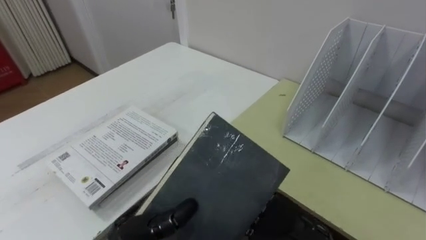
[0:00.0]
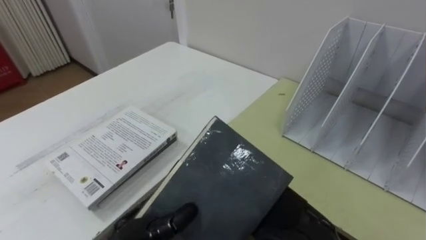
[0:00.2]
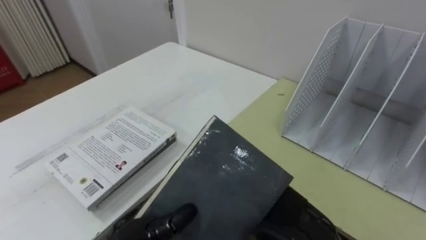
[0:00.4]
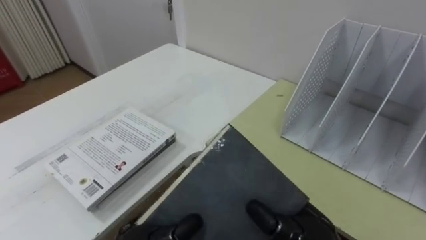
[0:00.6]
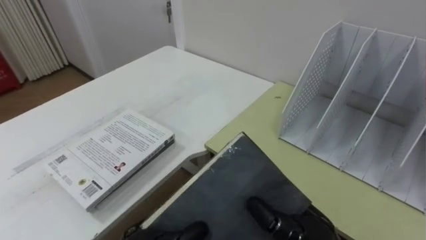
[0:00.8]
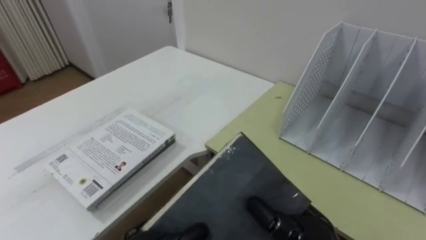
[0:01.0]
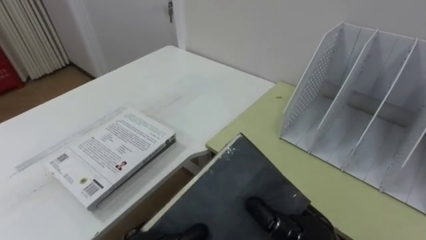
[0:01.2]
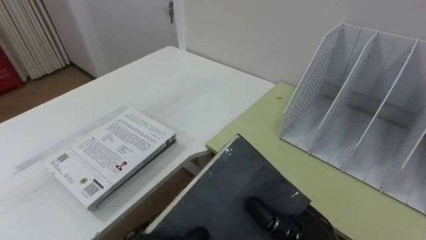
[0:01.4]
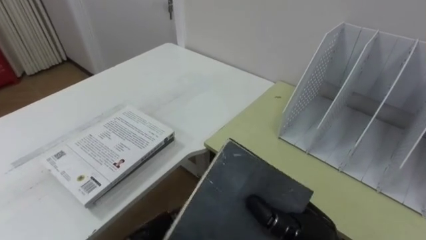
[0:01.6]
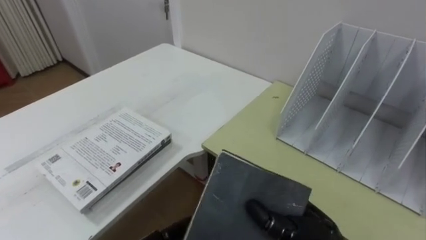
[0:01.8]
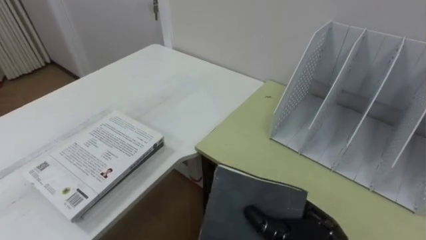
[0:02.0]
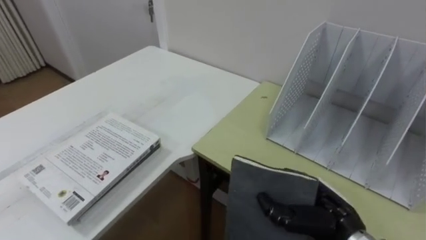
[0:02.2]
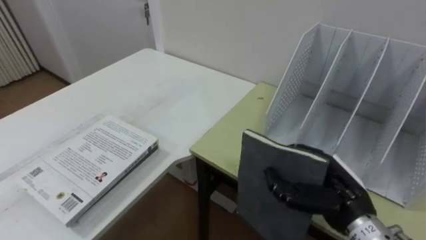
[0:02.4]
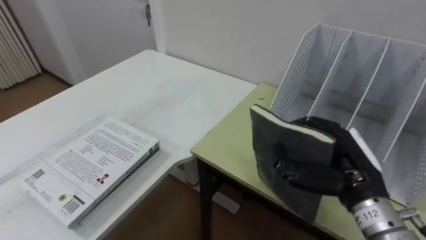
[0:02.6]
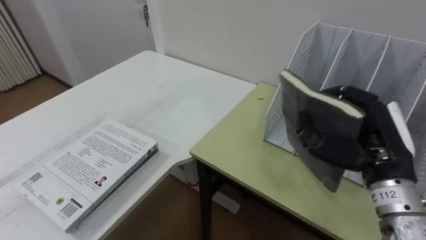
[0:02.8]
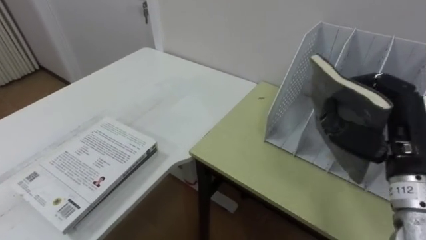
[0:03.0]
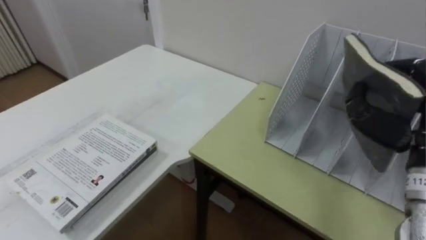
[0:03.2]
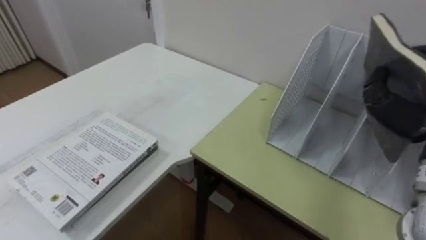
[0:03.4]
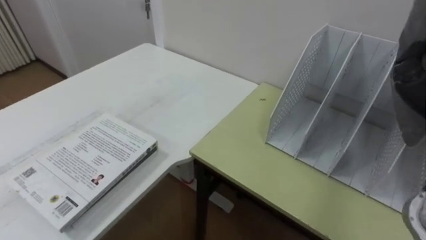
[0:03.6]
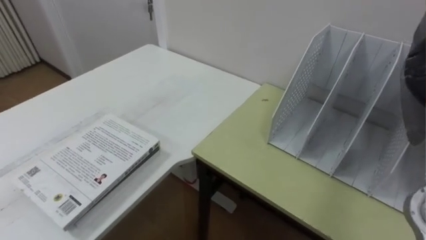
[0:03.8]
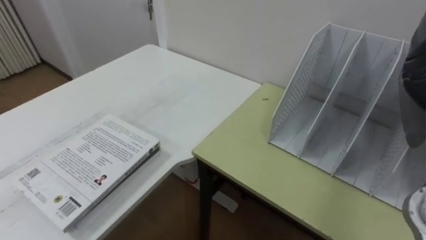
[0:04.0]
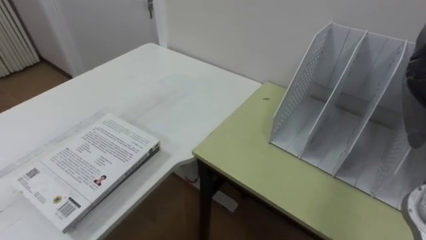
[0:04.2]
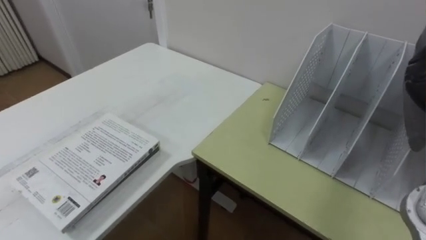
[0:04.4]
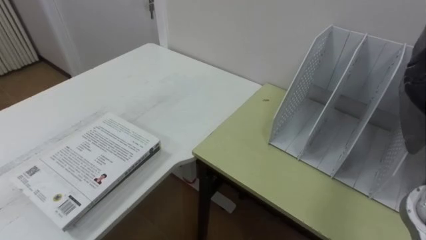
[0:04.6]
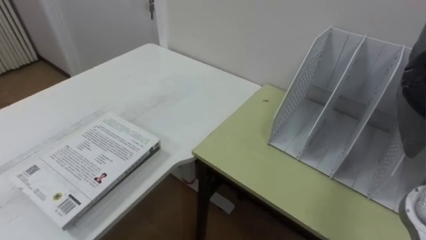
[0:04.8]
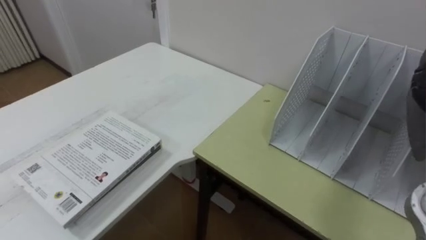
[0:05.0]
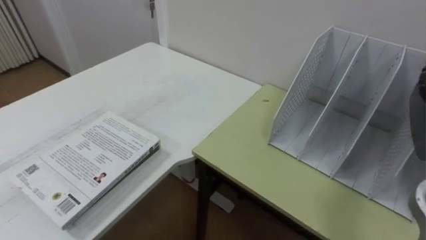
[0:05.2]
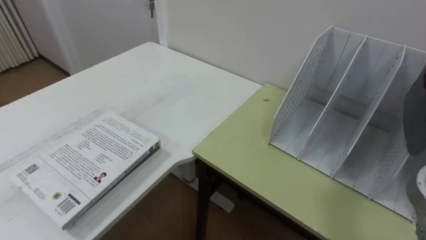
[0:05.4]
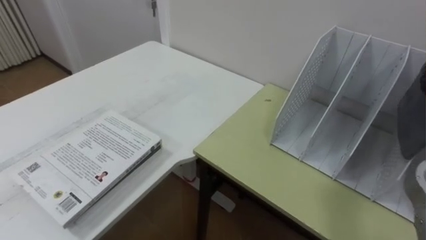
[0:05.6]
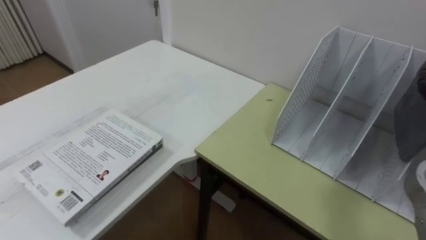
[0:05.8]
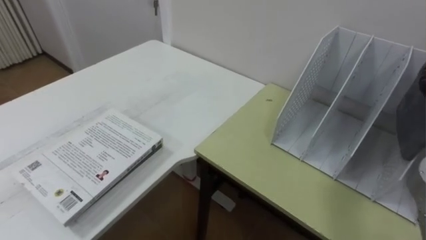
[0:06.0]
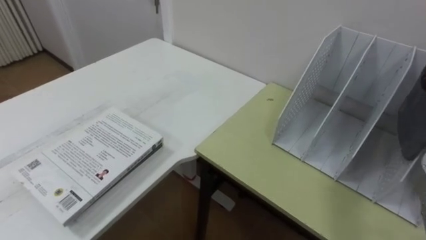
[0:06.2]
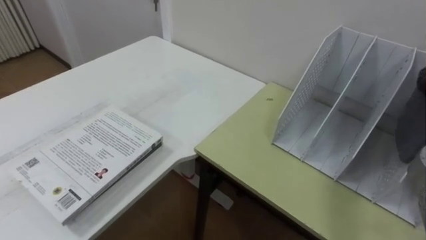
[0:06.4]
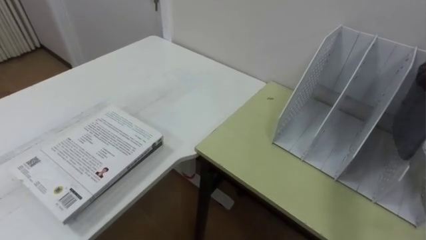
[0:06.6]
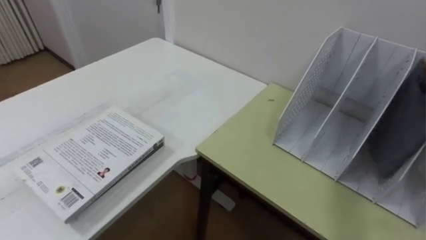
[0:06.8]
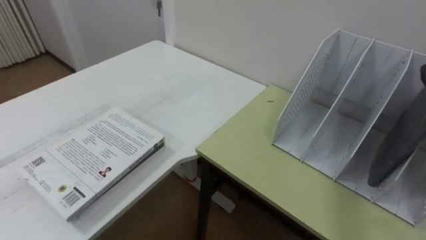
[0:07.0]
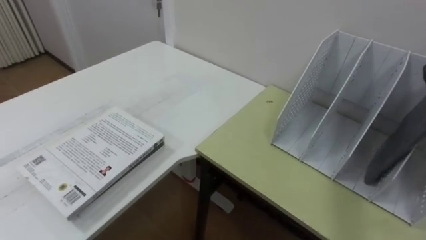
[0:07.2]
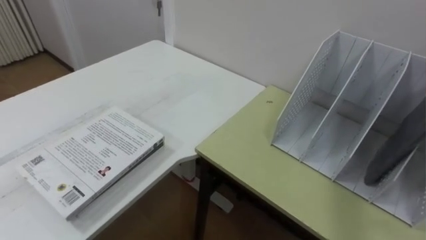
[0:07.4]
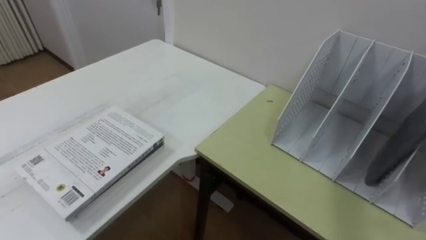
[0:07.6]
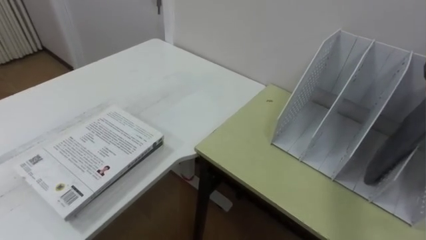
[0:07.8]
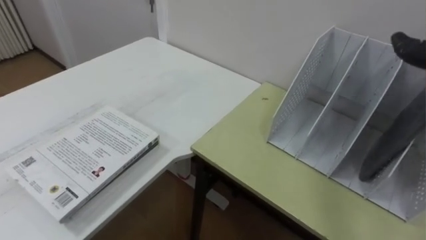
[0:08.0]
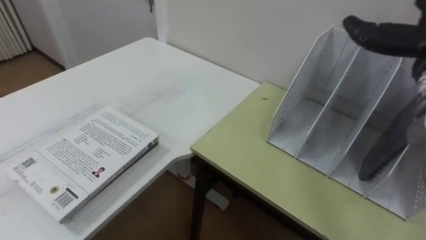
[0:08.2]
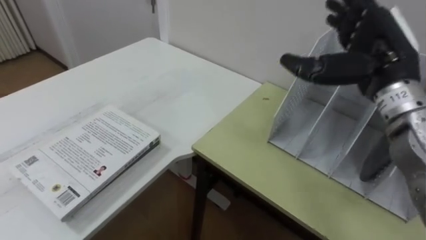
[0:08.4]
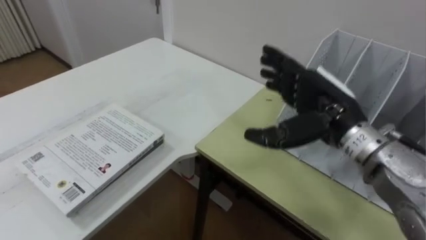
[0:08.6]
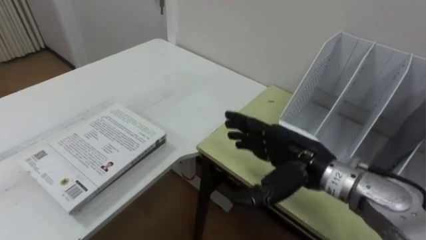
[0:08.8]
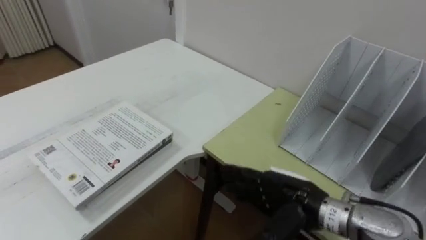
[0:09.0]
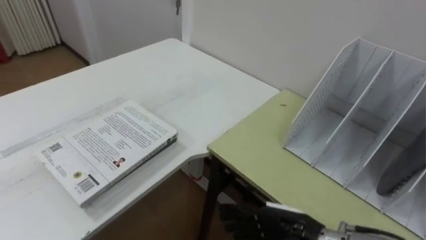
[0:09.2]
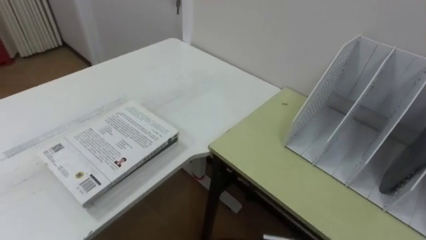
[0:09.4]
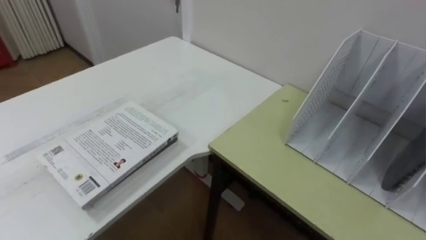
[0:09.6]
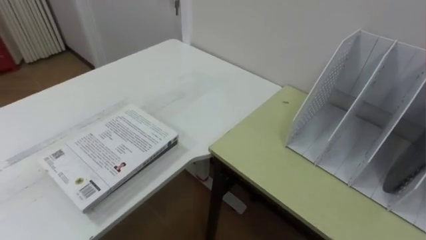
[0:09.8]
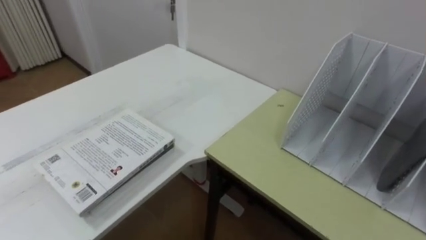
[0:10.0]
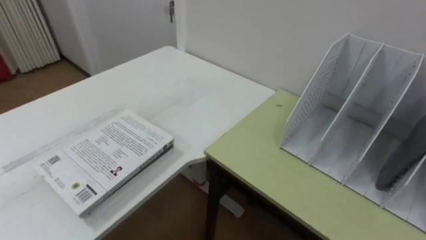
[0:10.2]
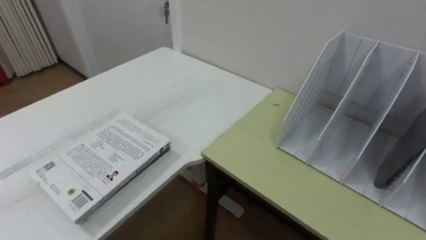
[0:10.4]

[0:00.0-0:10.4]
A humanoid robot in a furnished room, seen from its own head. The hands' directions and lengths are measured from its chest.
Task of the whole recording: Put the books on the table onto the bookshelf.
0:00.0 to 0:01.4: The right hand closes.
0:01.4 to 0:03.0: The right hand heads to the right, upward and forward, covering approximately 20 cm.

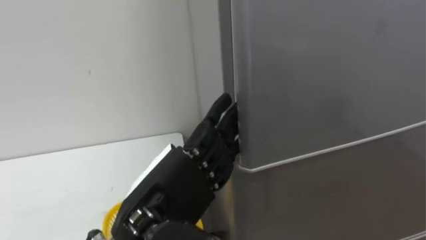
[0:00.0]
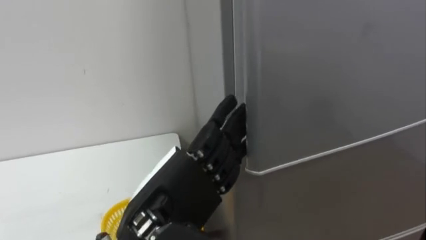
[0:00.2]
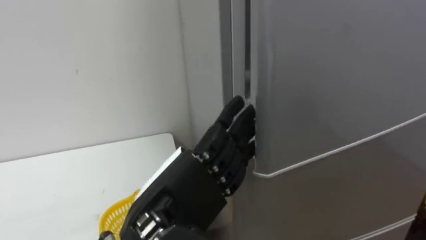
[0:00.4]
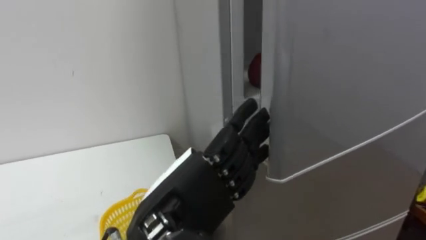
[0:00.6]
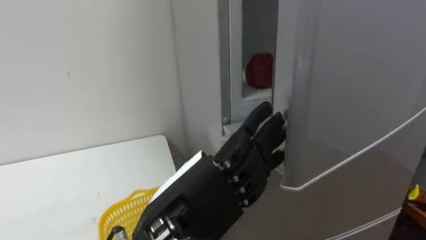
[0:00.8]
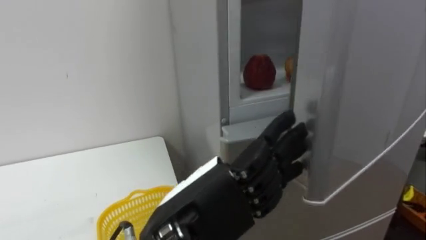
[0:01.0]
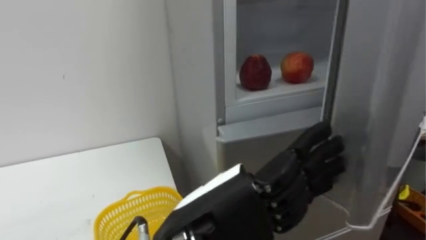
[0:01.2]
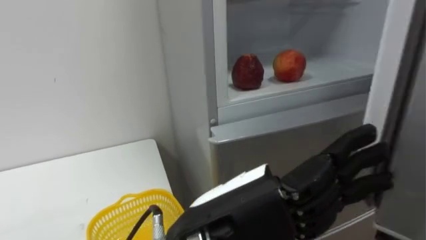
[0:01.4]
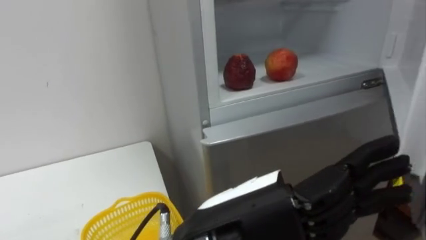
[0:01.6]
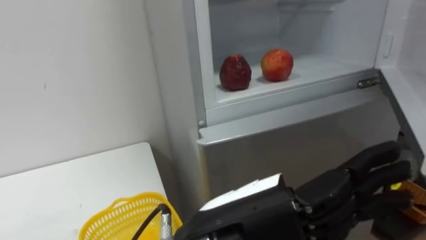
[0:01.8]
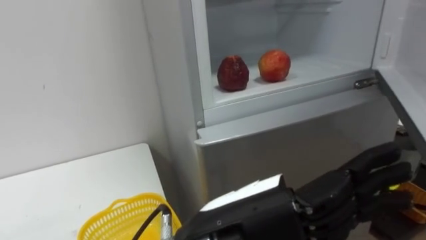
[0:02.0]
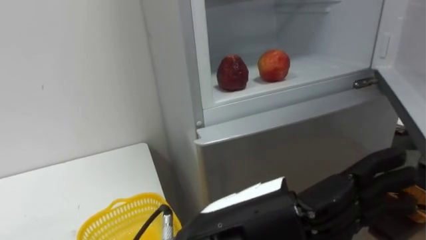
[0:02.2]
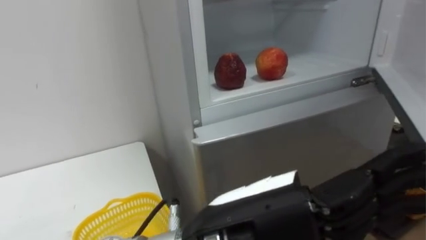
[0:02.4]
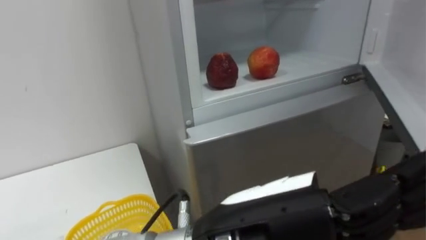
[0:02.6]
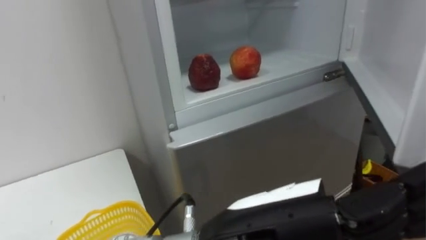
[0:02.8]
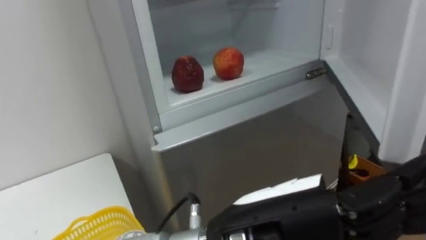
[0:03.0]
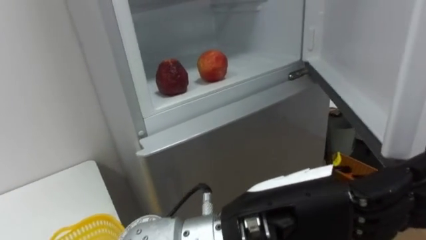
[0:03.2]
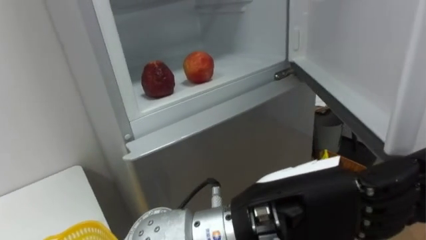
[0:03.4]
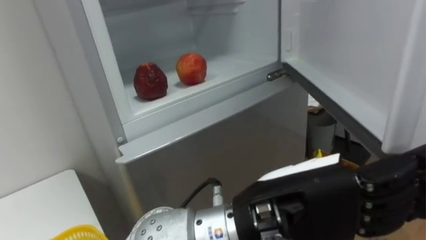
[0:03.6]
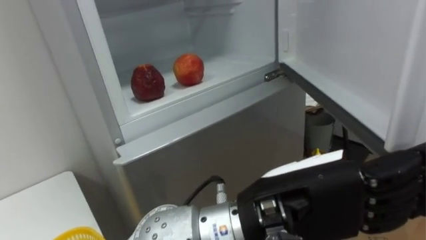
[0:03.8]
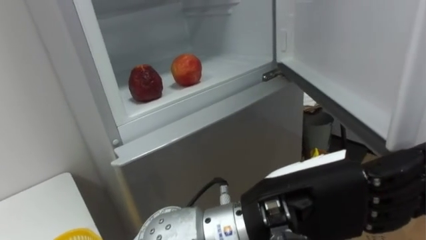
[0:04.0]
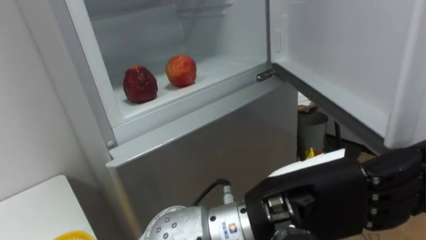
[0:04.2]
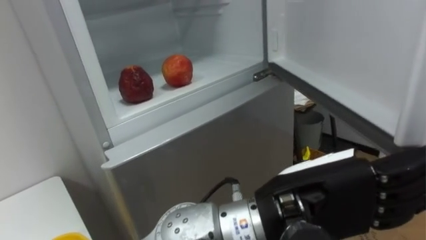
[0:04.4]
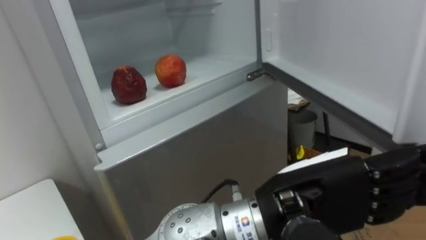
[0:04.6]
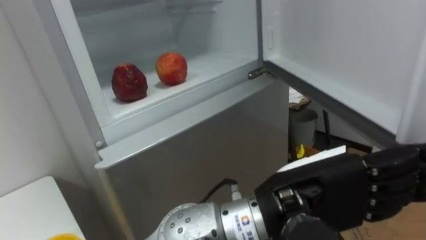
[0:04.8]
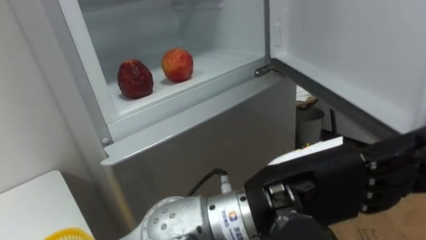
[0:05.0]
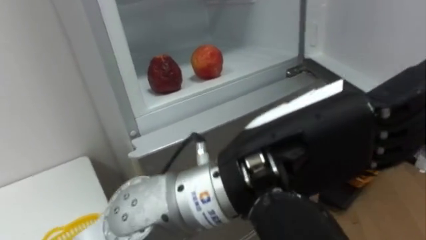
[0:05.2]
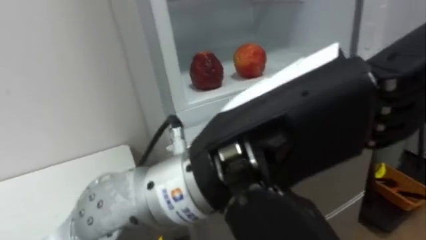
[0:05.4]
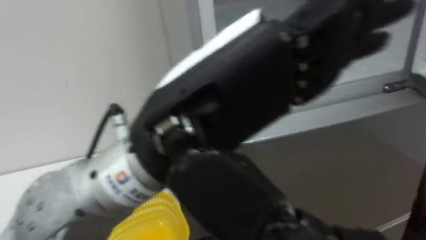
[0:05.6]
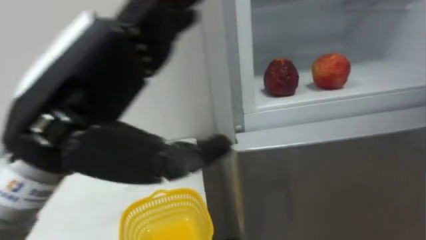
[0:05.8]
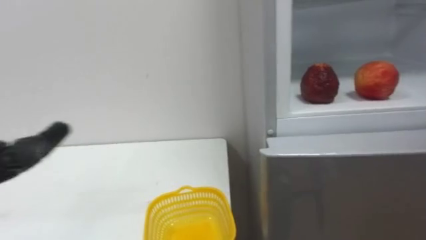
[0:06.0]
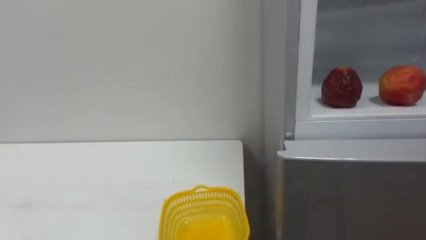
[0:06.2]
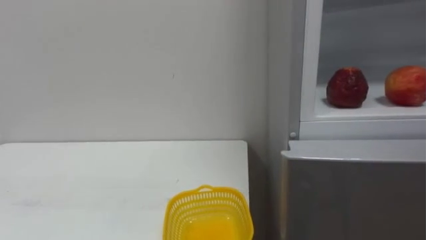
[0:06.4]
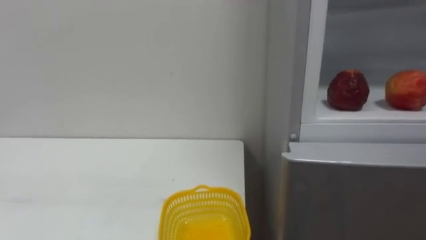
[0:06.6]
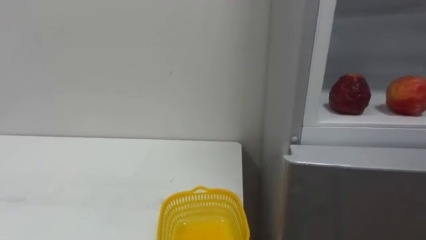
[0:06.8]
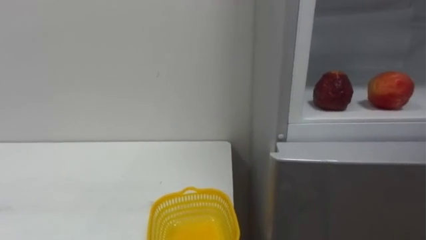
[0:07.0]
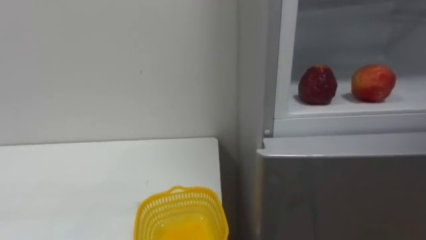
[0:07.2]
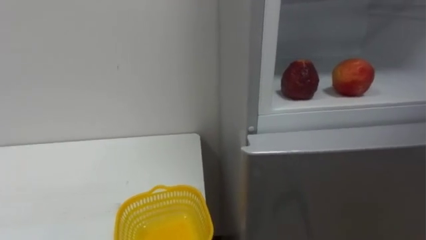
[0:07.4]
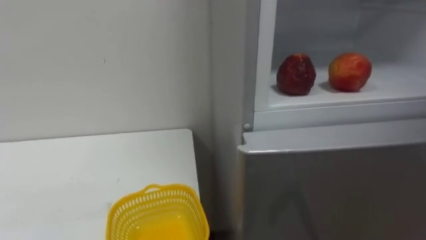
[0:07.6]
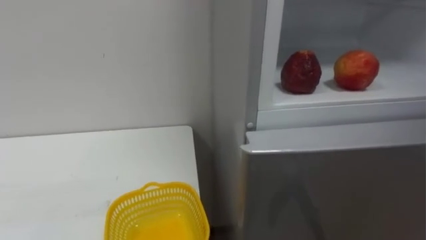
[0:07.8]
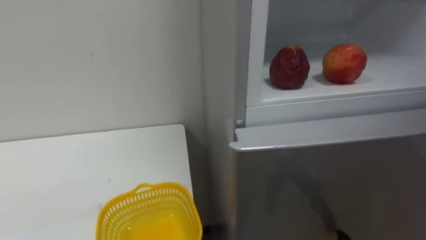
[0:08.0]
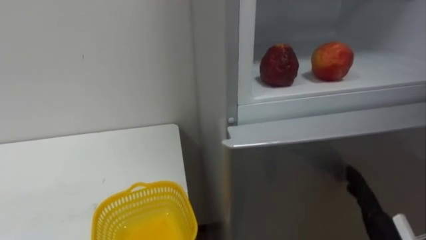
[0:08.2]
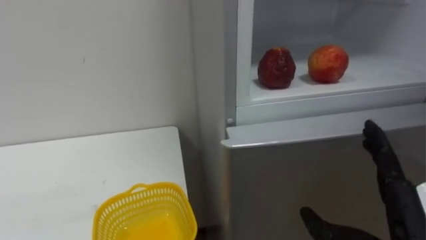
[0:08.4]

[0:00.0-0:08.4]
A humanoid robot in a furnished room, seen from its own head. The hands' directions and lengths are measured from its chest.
Task of the whole recording: Open the refrigerator door, take out the apple and the pomegranate, place them in the fruit basket on the left, and close the refrigerator door.
0:00.0 to 0:01.4: The left hand shifts approximately 5 cm to the right.
0:02.8 to 0:04.2: The left hand ends up about 5 cm from where it was.
0:04.2 to 0:05.6: The left hand shifts about 15 cm upward and to the left.
